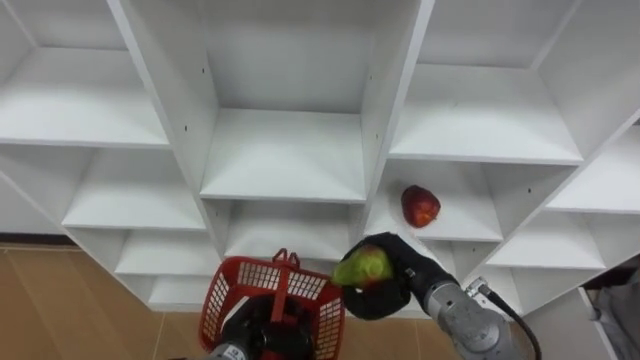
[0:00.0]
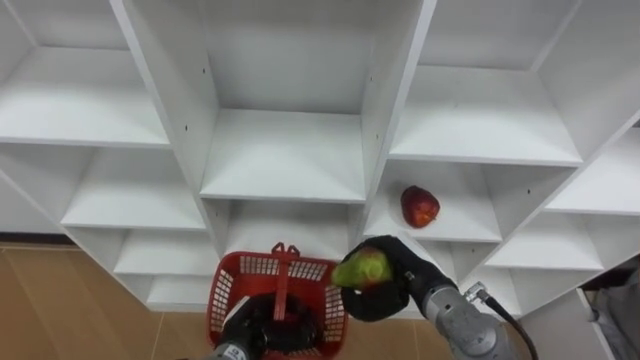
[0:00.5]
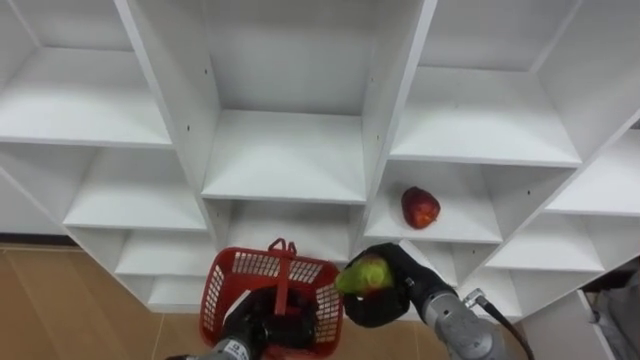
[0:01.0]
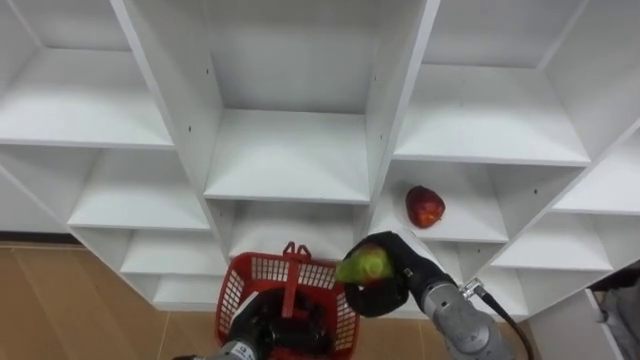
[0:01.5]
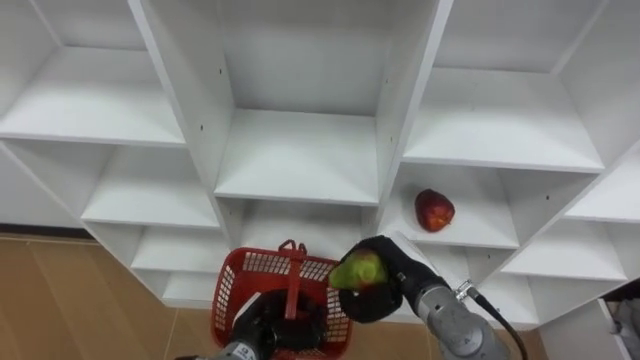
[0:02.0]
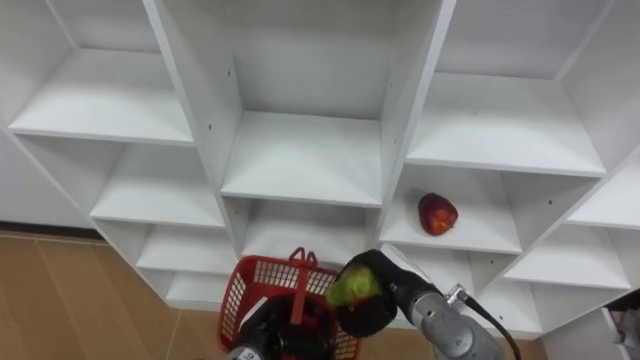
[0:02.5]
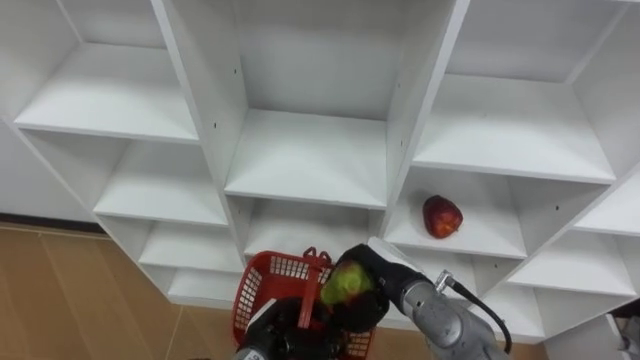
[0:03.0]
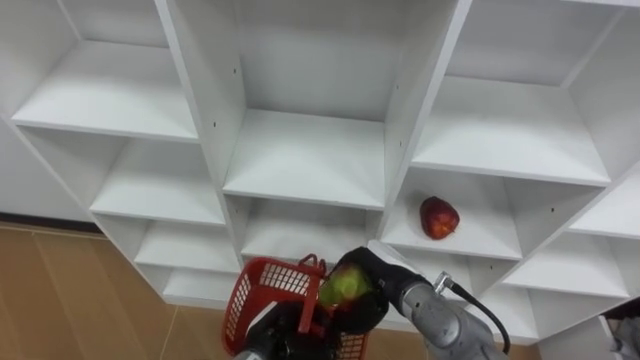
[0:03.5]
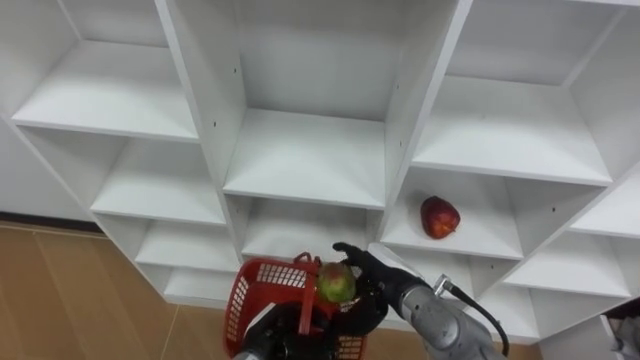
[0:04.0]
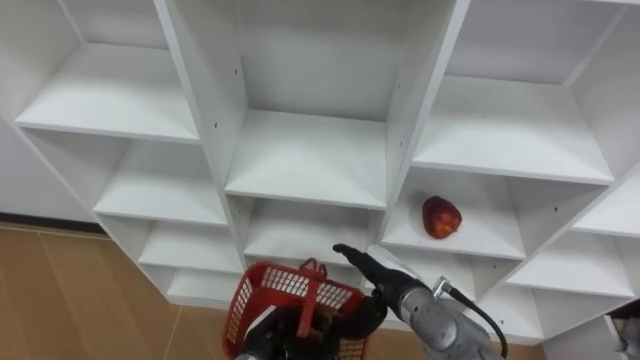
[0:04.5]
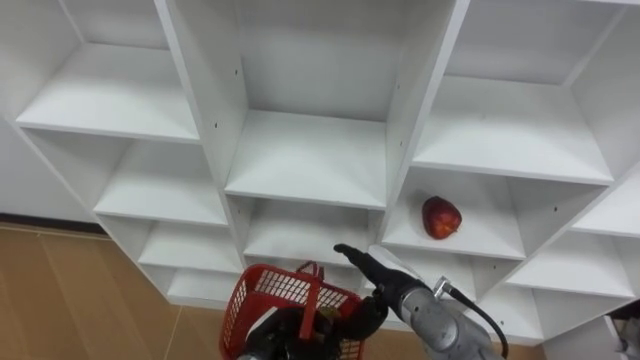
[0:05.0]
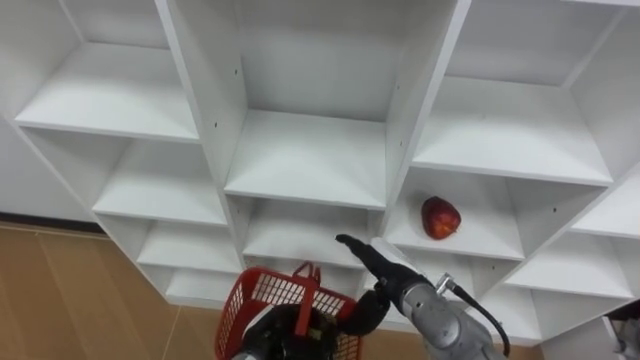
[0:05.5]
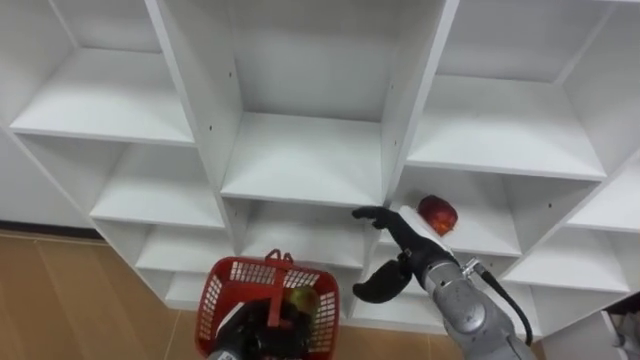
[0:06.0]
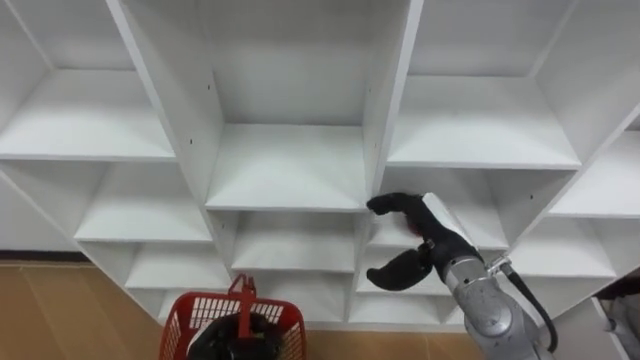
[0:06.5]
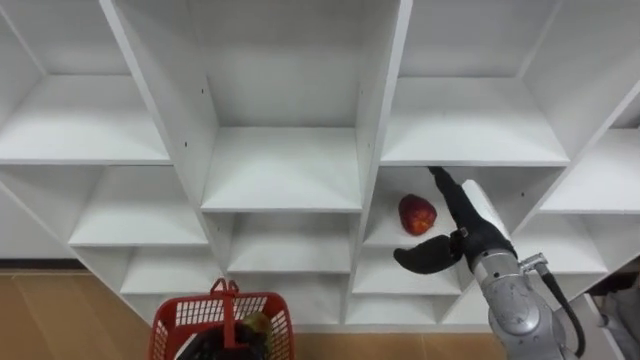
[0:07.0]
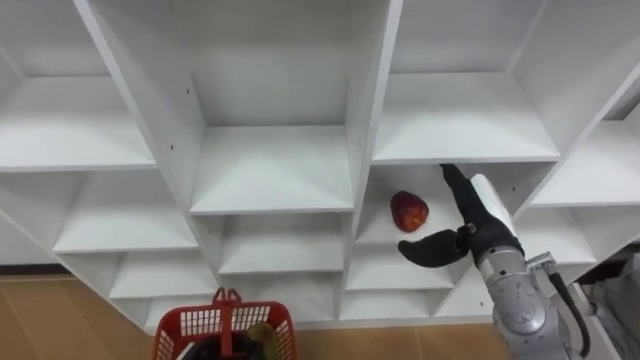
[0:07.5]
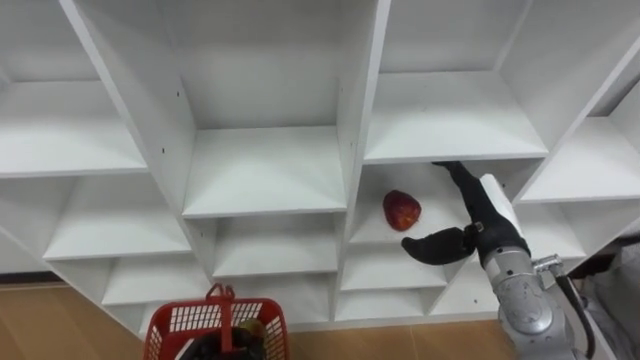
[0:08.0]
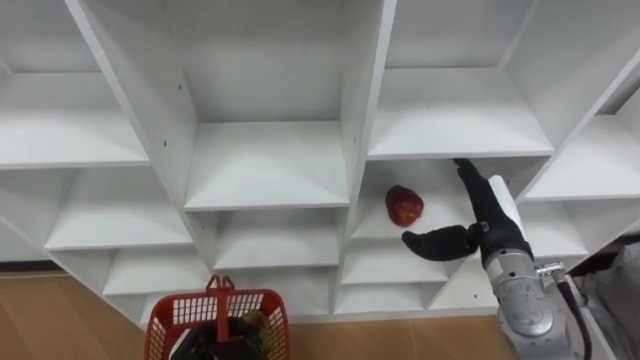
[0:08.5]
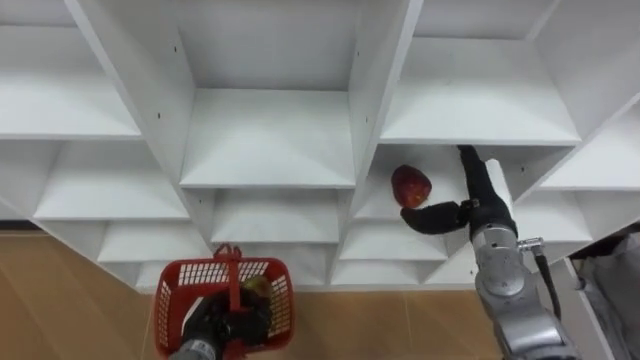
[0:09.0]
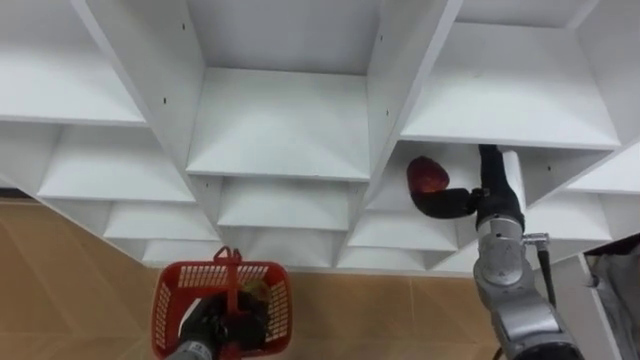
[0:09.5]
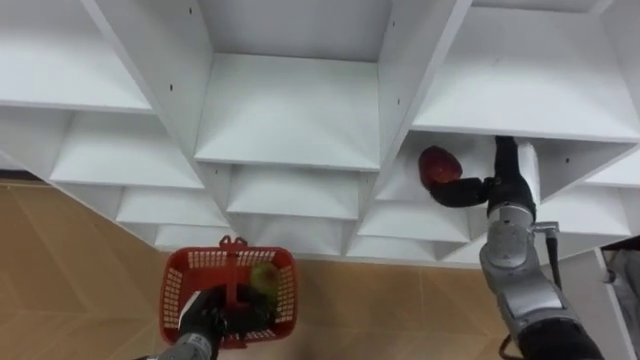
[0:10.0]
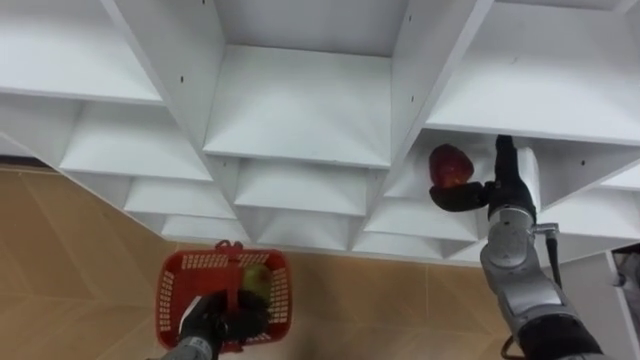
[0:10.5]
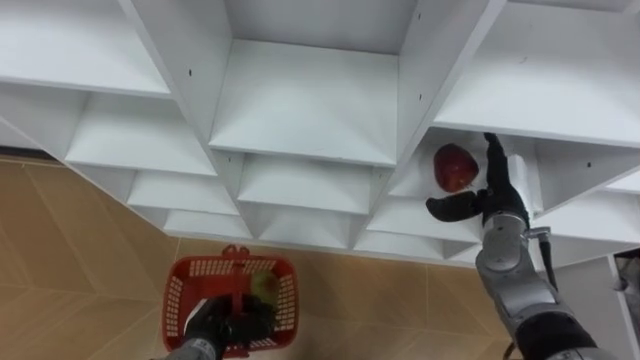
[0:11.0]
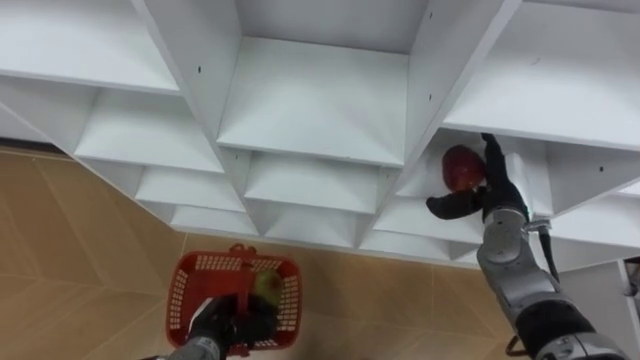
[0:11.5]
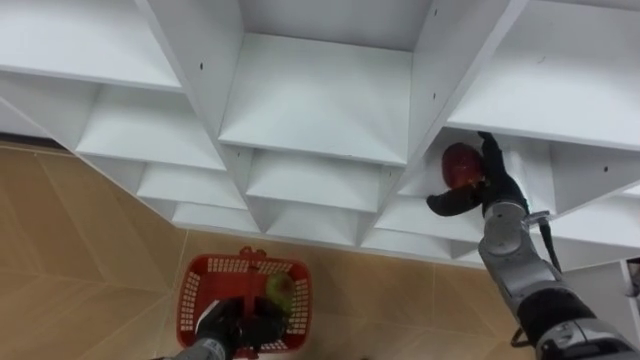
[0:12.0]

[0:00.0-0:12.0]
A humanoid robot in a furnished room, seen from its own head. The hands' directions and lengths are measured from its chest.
Task of the whole recording: Hold the basket and collect the fruits from 3 different cells of the closet into it.
0:02.0 to 0:04.0: The right hand opens.
0:04.0 to 0:06.0: The right hand moves some 5 cm.
0:06.0 to 0:08.0: The right hand moves to the right and upward, about 10 cm.
0:08.0 to 0:10.0: The right hand shifts about 5 cm forward.

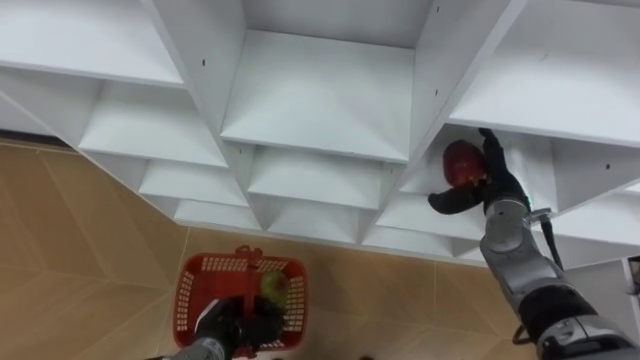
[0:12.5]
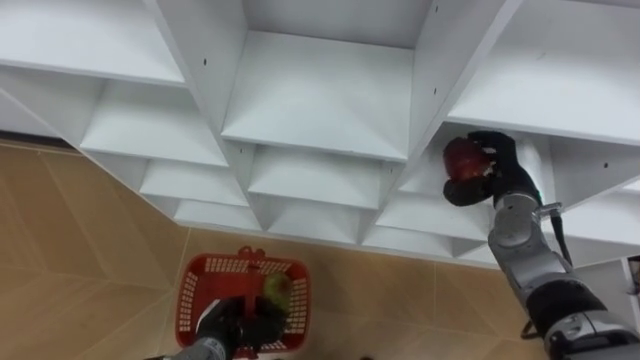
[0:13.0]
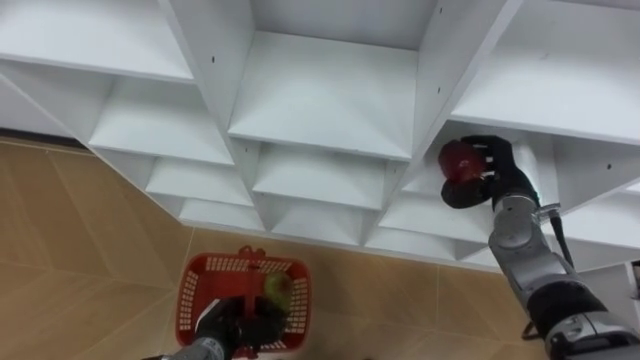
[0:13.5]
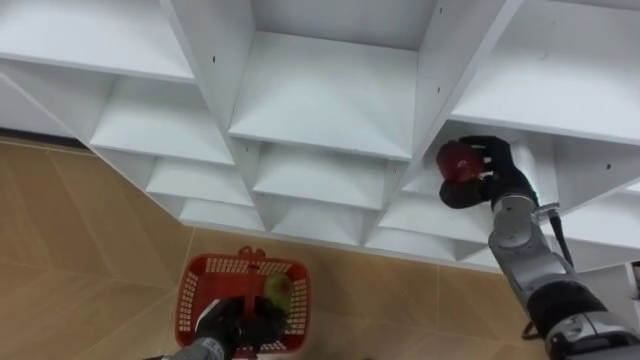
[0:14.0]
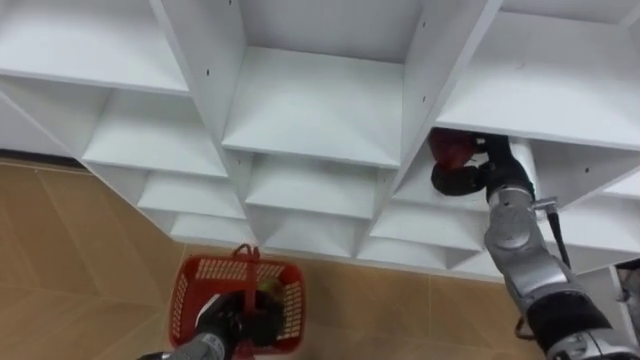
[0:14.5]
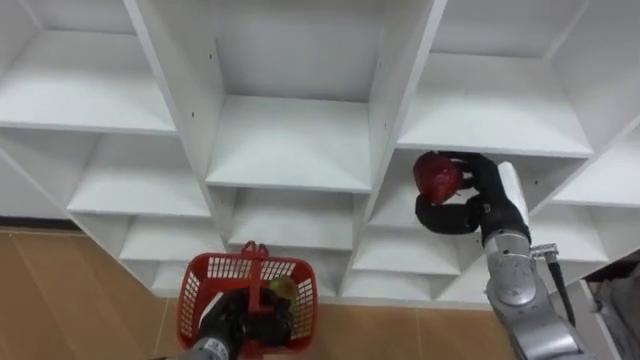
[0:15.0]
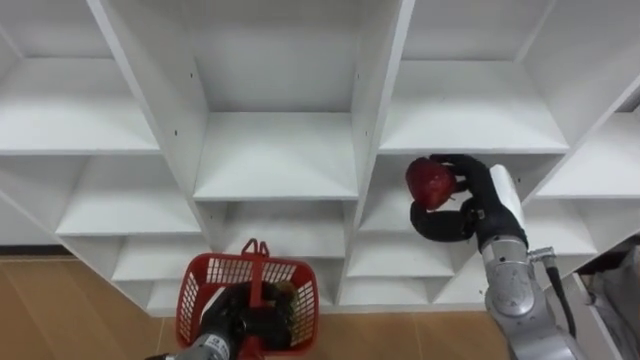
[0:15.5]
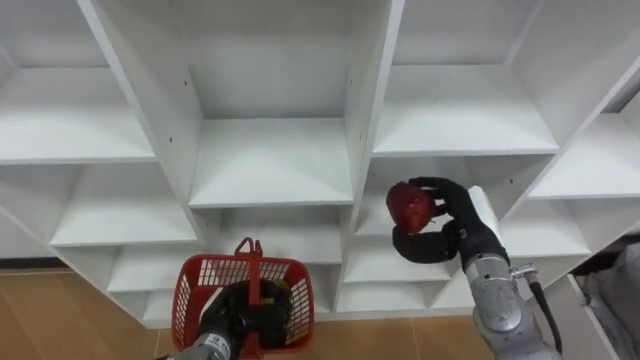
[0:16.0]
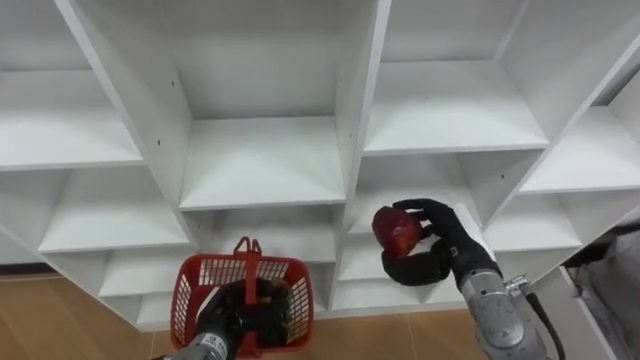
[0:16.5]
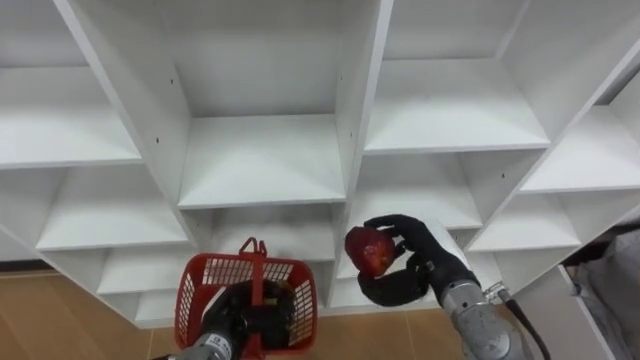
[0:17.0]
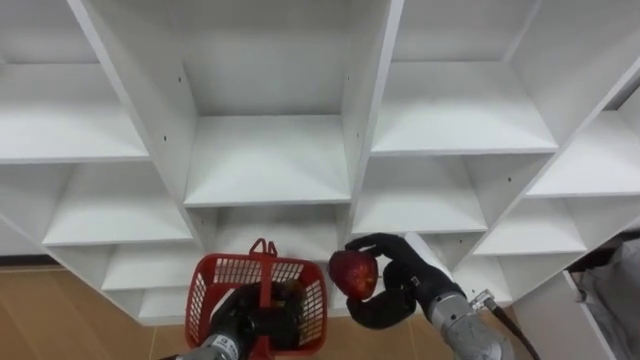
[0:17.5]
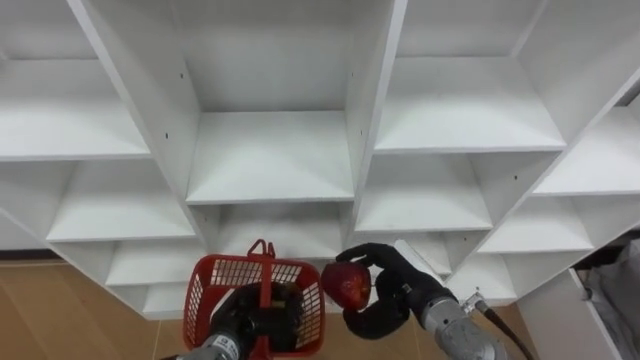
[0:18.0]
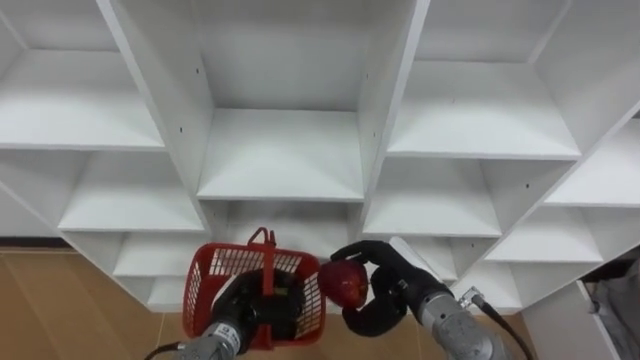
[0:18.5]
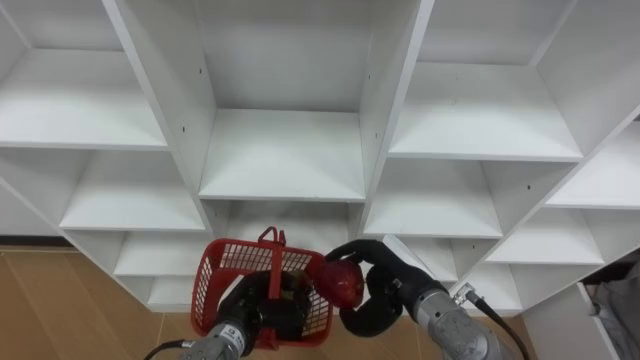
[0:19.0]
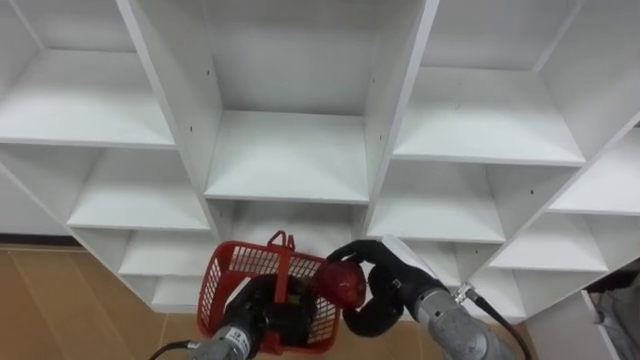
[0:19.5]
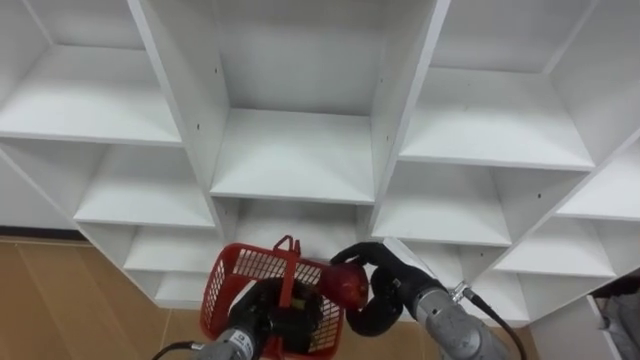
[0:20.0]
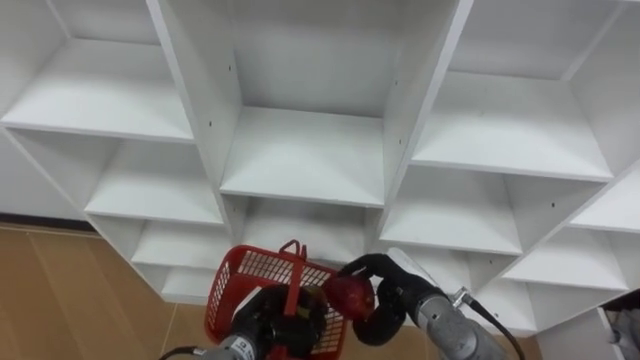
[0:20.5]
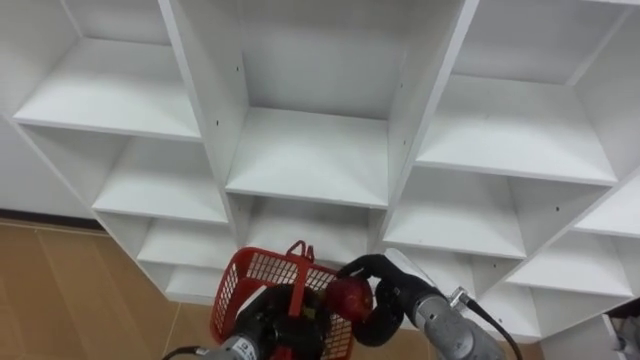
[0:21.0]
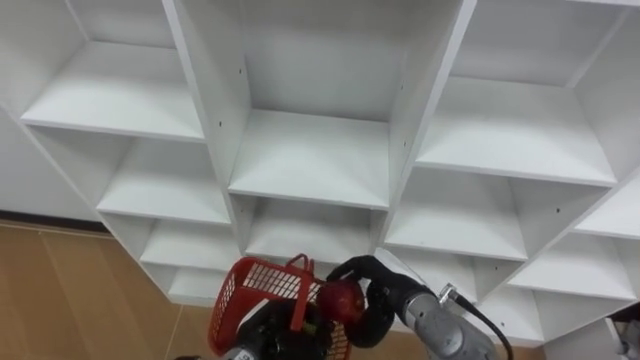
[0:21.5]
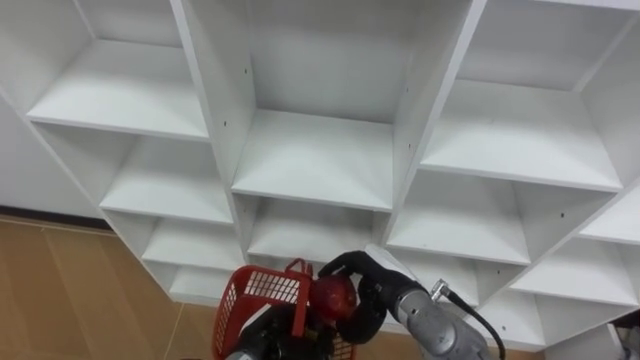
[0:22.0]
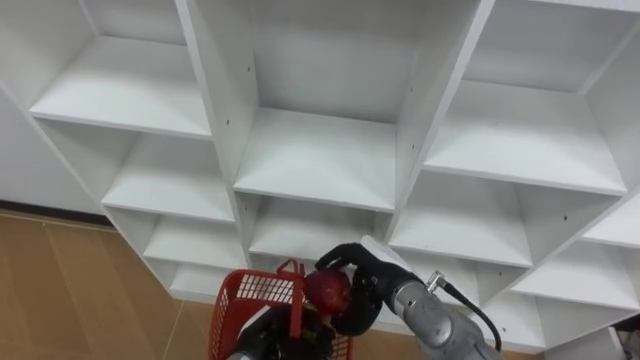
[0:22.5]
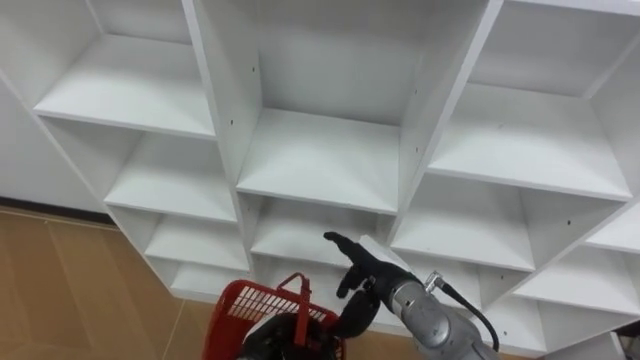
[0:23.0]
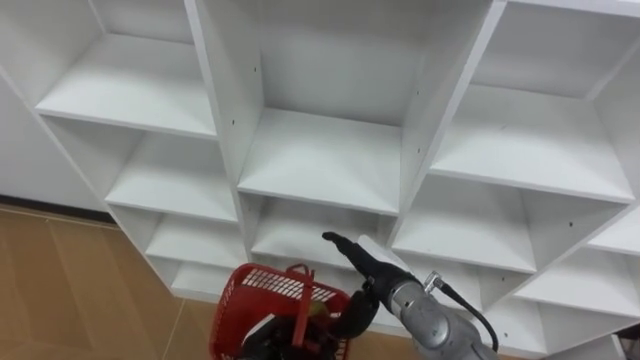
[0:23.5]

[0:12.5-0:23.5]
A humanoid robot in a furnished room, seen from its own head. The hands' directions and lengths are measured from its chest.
Task of the whole recording: Hold the basket and collect the fruits from 3 different cells of the closet into it.
0:12.5 to 0:14.5: The right hand closes up.
0:14.5 to 0:16.0: The right hand moves backward, approximately 10 cm.
0:16.0 to 0:18.0: The right hand moves to the left and backward, about 10 cm.
0:21.5 to 0:23.5: The right hand opens up.
